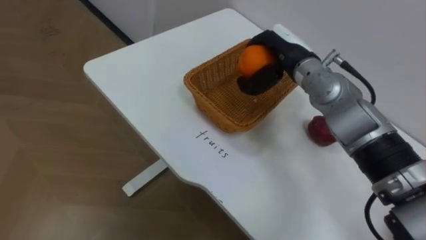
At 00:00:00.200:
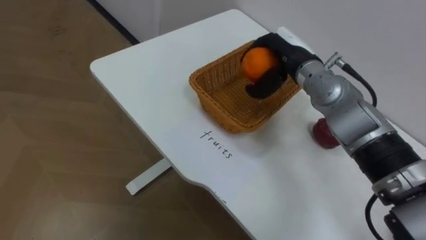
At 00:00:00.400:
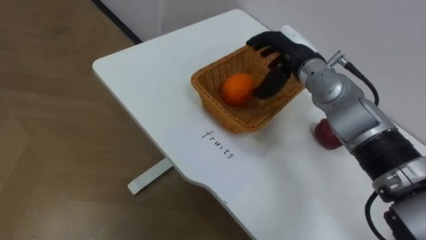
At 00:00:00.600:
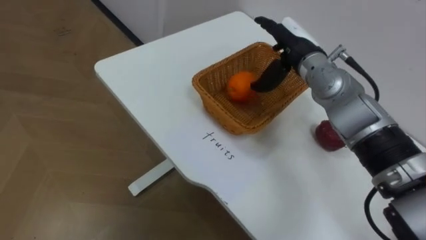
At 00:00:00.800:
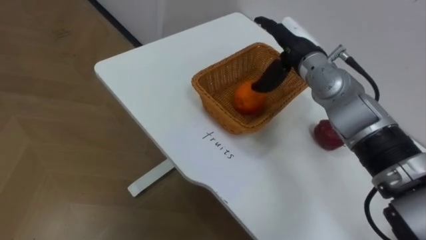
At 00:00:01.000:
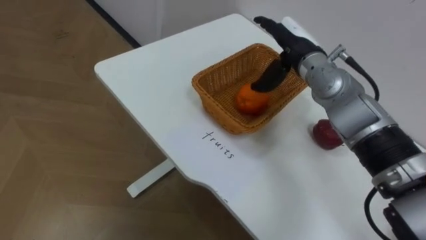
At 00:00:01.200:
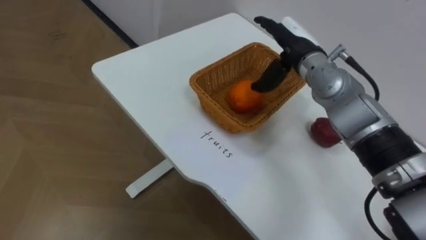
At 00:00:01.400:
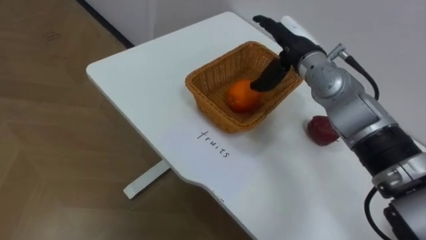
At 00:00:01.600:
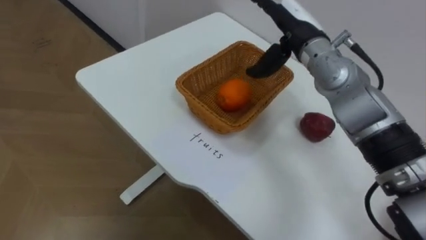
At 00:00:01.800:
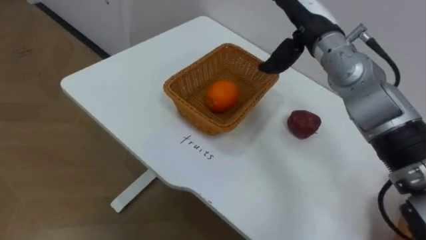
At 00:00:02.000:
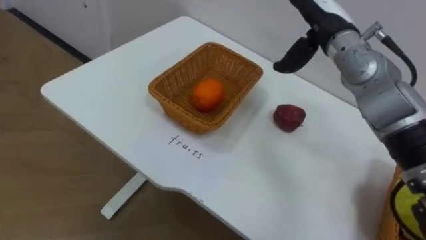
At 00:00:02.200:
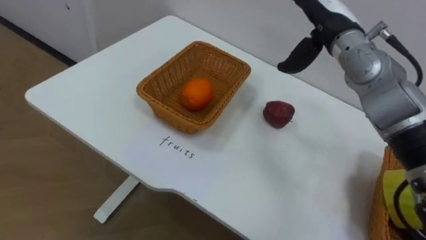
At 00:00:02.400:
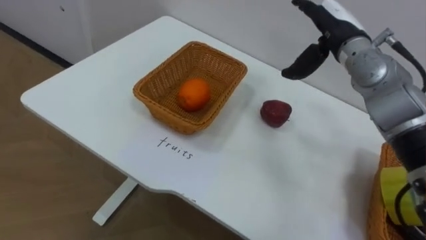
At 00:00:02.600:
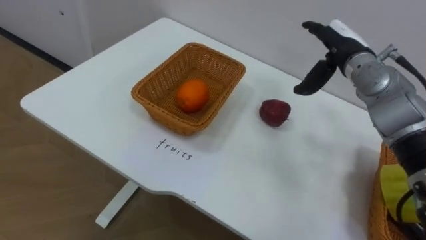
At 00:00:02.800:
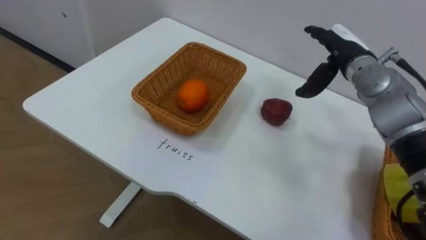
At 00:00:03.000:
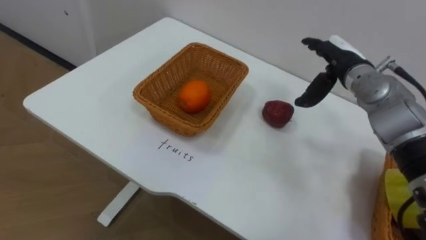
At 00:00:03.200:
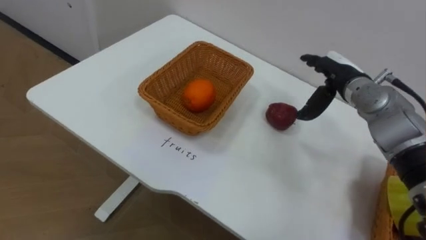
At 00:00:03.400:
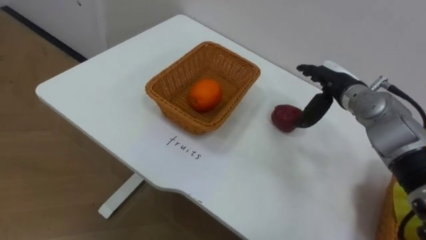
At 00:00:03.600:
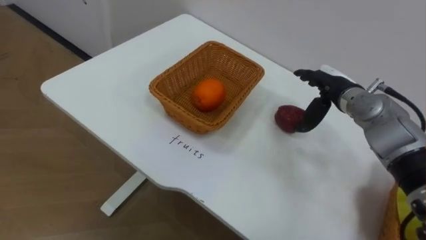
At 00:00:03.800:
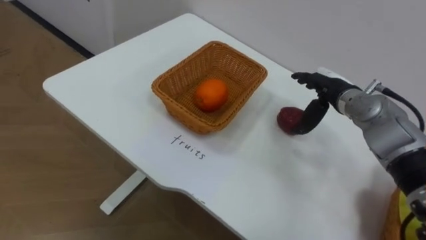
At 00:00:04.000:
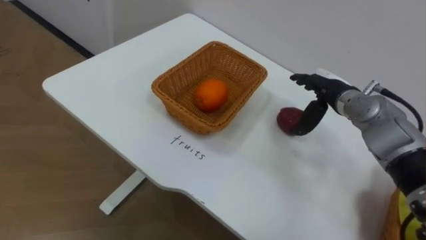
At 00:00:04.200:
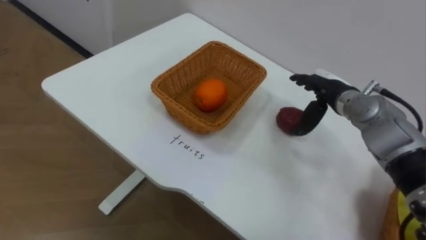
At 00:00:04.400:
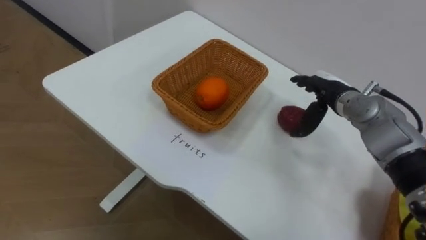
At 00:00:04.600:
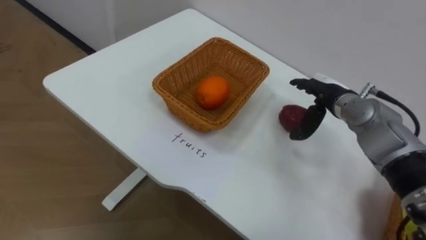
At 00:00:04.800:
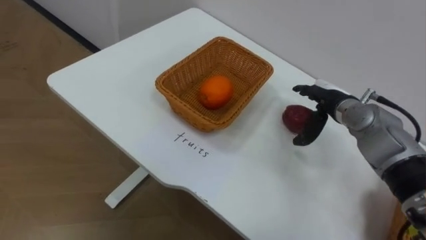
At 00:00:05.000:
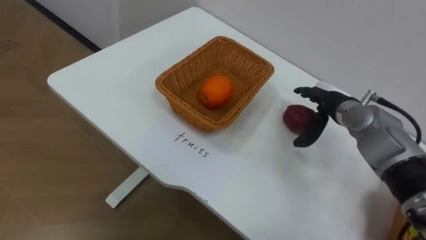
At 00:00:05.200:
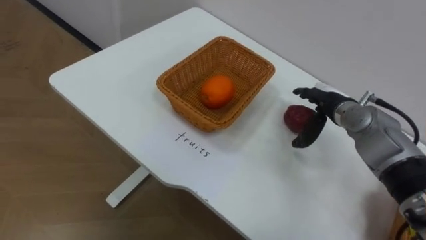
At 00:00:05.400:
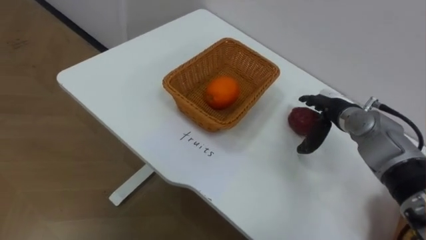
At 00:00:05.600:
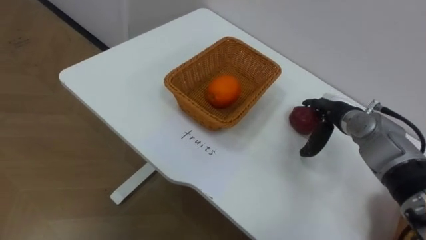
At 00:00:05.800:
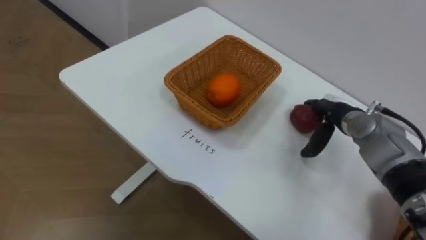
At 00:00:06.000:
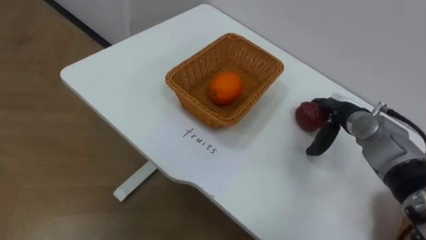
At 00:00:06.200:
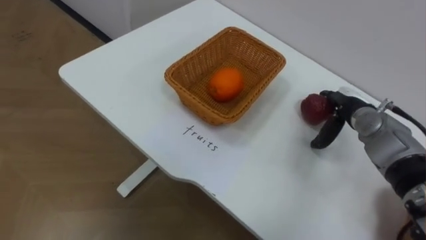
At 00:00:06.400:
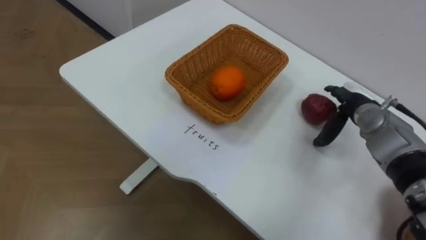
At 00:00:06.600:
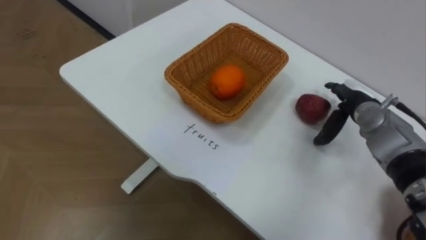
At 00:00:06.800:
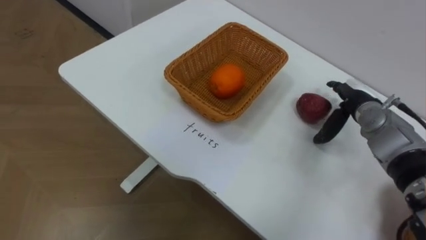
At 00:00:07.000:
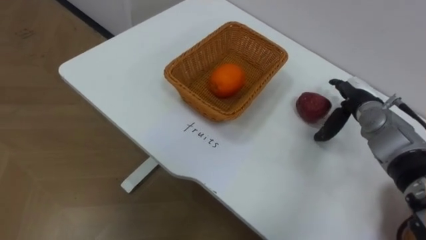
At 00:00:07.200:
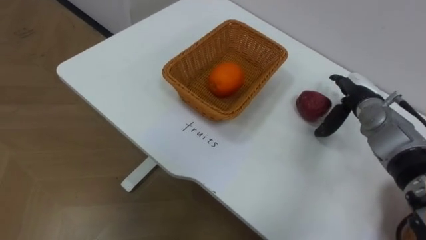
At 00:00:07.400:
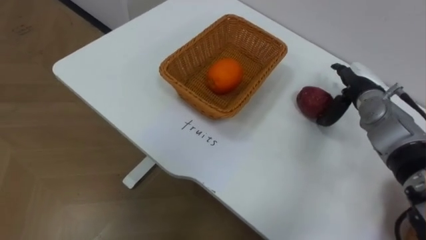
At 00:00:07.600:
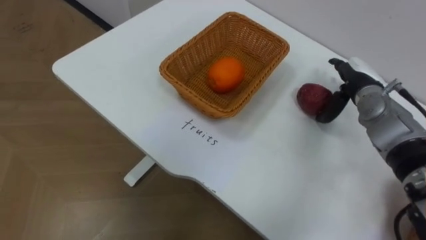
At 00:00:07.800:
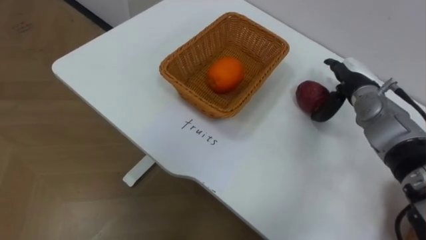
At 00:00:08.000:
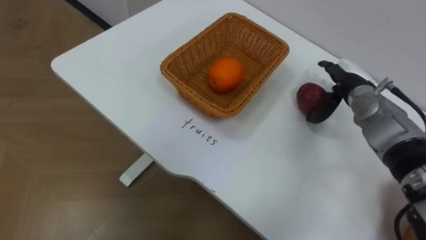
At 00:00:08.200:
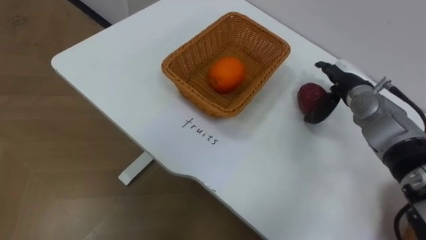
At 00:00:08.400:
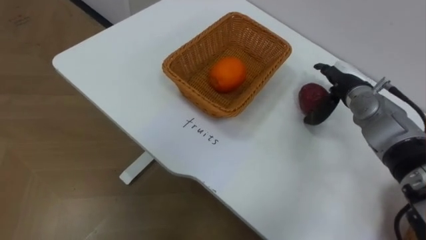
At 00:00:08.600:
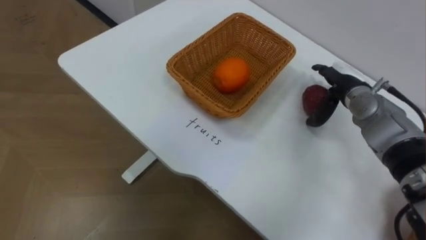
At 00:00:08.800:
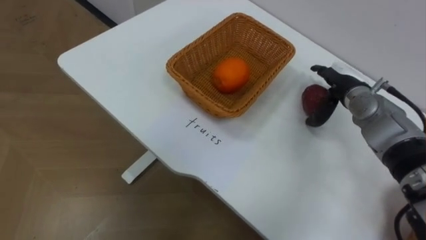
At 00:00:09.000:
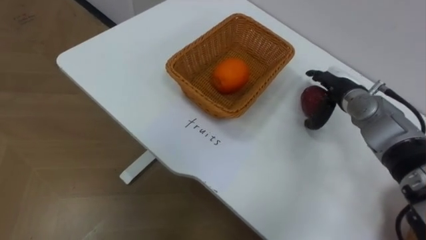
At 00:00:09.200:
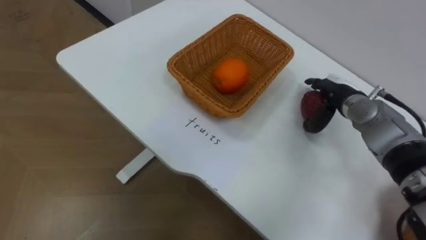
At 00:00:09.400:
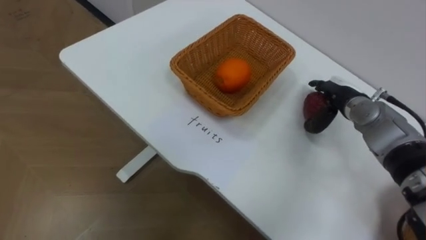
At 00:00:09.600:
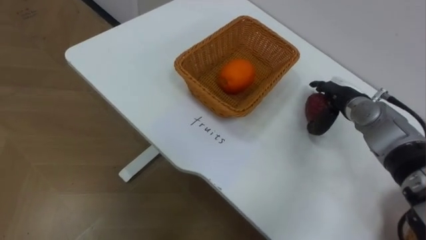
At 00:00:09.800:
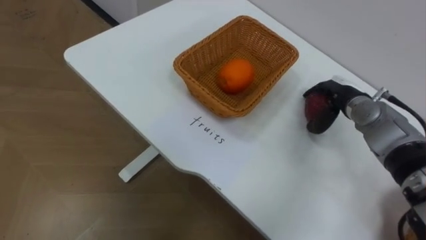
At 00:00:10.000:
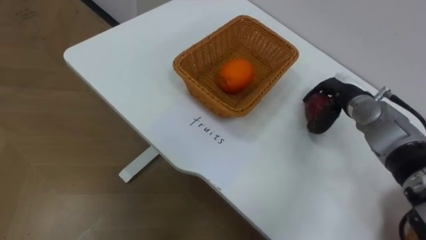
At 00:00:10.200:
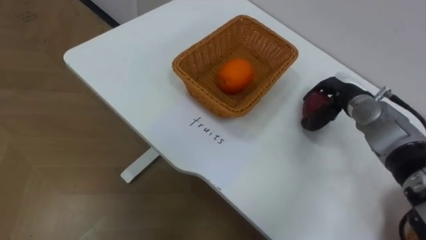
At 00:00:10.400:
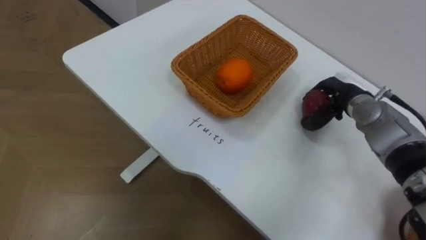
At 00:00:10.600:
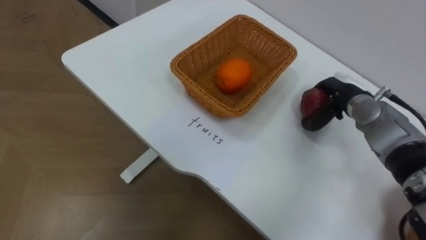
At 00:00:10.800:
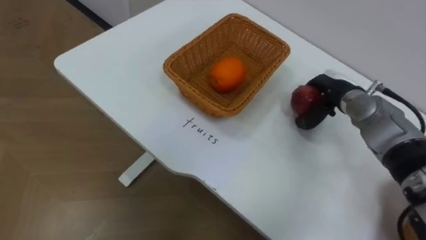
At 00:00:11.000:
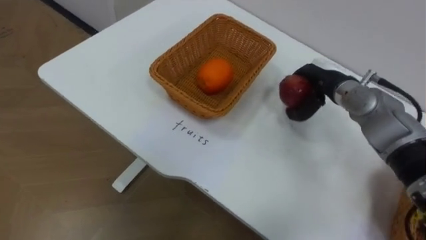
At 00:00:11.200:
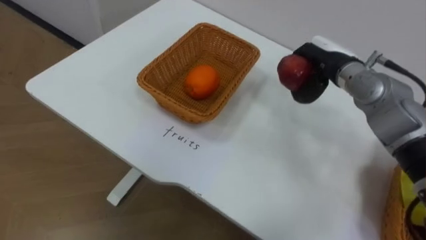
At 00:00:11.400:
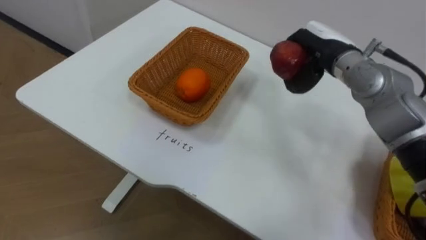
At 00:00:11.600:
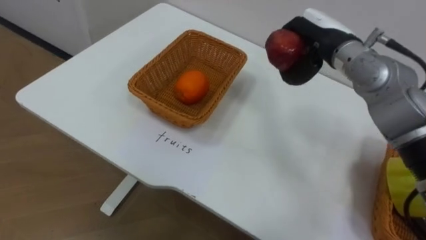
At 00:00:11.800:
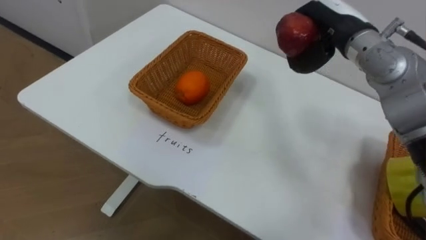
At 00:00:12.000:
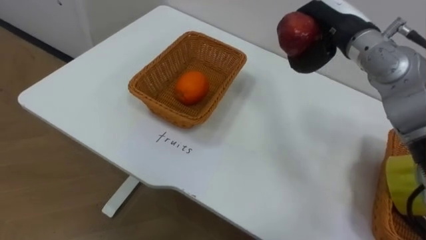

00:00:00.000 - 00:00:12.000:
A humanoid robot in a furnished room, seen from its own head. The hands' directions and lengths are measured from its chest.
Task of the whole recording: Separate the items on the table and place them into the two baskets.
00:00:00.000 - 00:00:01.600: The right hand opens up.
00:00:01.600 - 00:00:03.000: The right hand heads to the right and downward, covering some 10 cm.
00:00:03.000 - 00:00:04.400: The right hand goes some 5 cm downward.
00:00:04.400 - 00:00:06.000: The right hand ends up about 5 cm from where it was.
00:00:06.000 - 00:00:07.600: The right hand heads upward, covering approximately 5 cm.
00:00:09.000 - 00:00:10.400: The right hand closes.
00:00:10.400 - 00:00:12.000: The right hand moves upward and to the left, roughly 15 cm.

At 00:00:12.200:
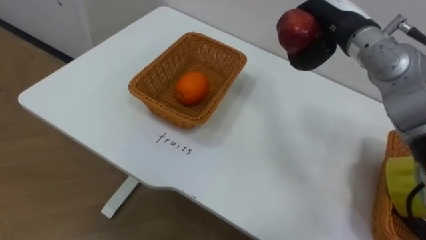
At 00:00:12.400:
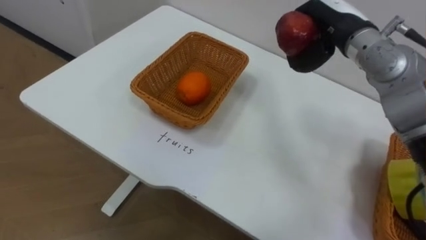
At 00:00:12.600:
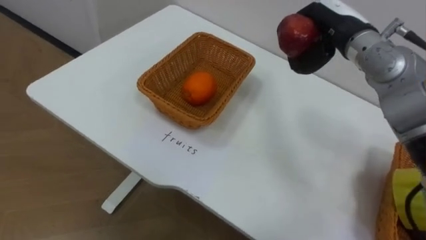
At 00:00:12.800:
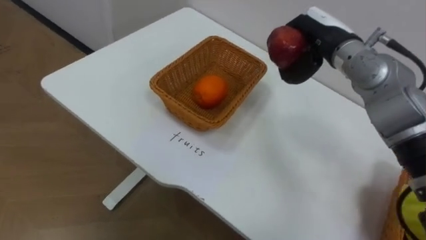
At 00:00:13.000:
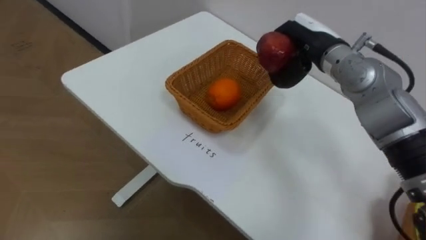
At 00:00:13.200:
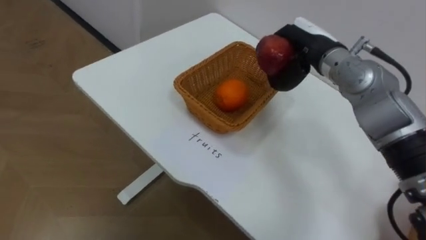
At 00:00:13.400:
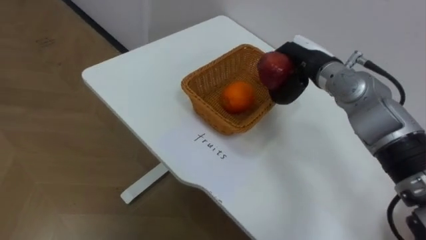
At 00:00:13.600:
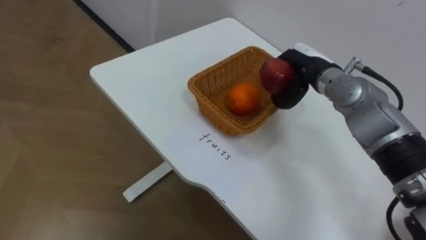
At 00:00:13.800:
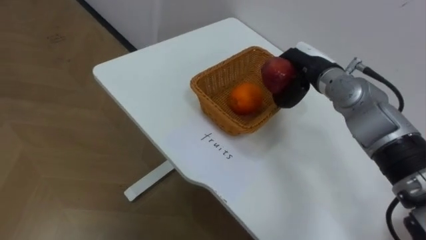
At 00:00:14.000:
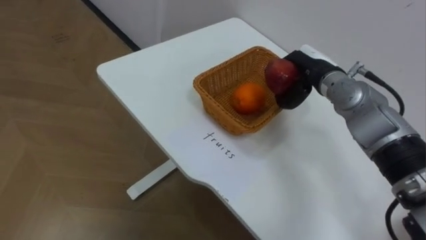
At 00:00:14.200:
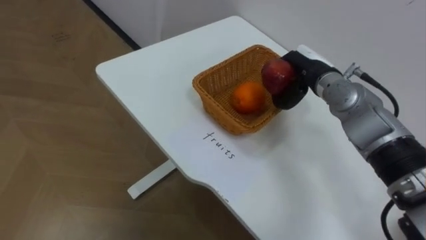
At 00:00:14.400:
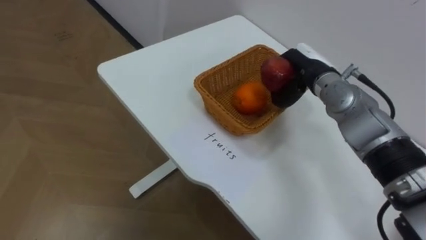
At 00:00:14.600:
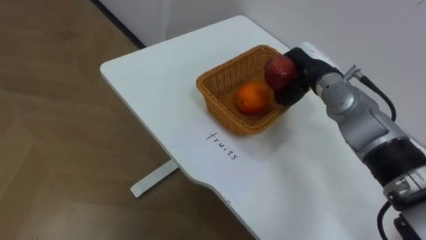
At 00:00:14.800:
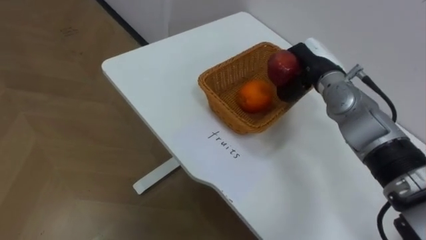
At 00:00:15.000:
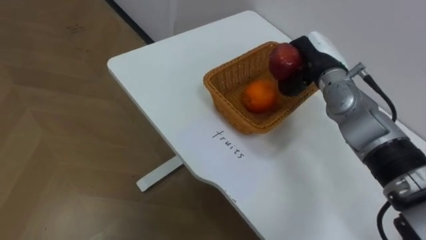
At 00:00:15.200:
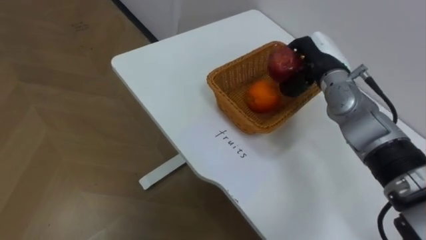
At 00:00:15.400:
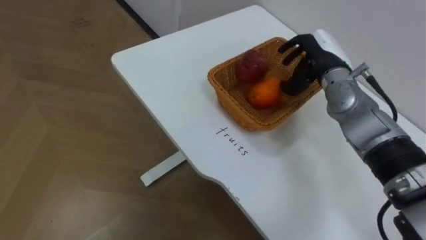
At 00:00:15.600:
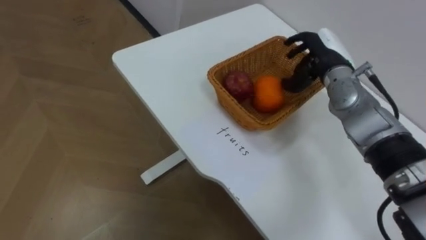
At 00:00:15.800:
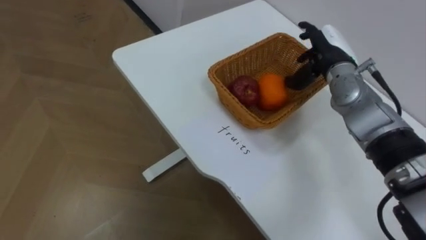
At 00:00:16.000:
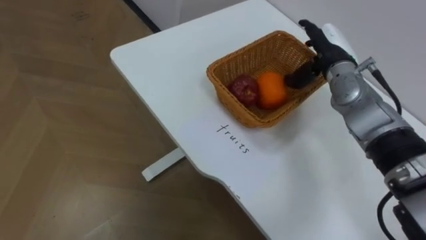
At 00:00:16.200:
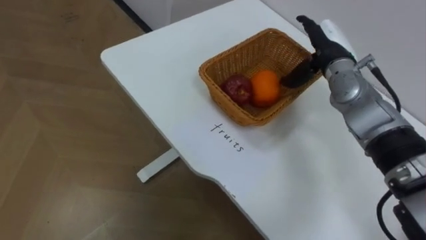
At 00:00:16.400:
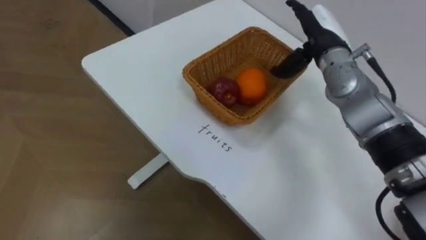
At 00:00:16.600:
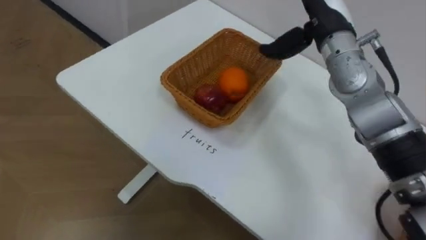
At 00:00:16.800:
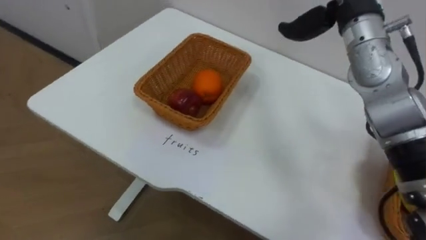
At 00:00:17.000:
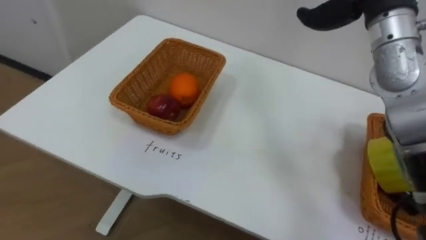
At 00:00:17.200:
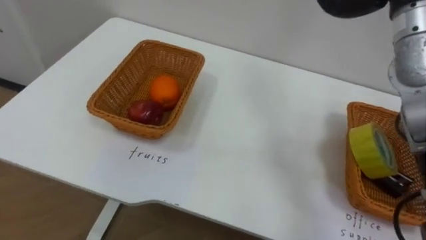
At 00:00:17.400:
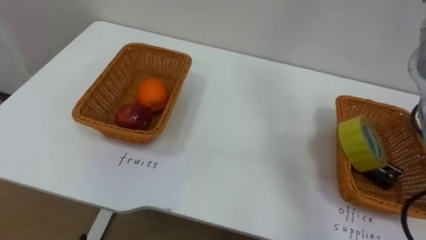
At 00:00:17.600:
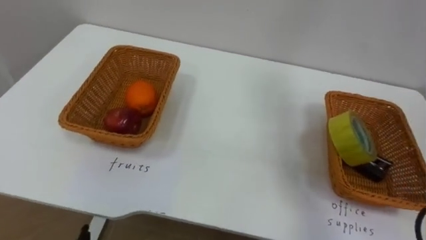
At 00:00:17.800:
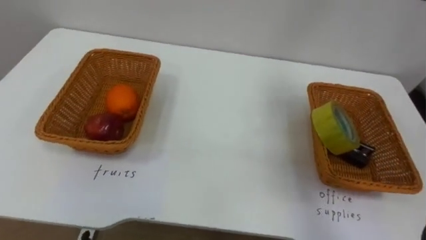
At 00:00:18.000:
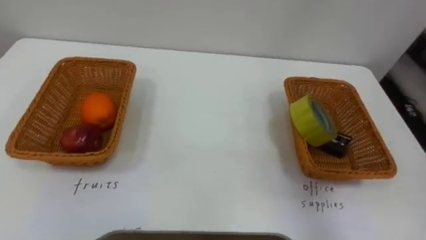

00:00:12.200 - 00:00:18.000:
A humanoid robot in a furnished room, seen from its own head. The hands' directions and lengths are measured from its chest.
Task of the whole recording: Separate the items on the table and place them into the two baskets.
00:00:12.200 - 00:00:13.600: The right hand travels downward by some 10 cm.
00:00:15.000 - 00:00:16.600: The right hand goes approximately 10 cm upward, and opens its fingers.
